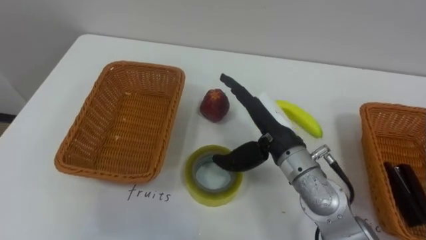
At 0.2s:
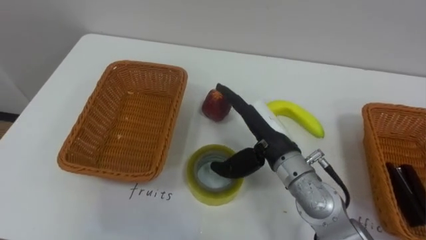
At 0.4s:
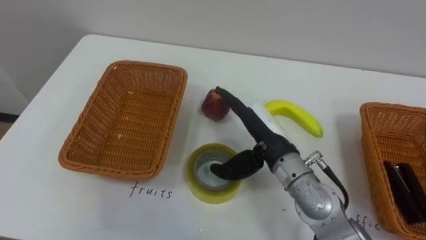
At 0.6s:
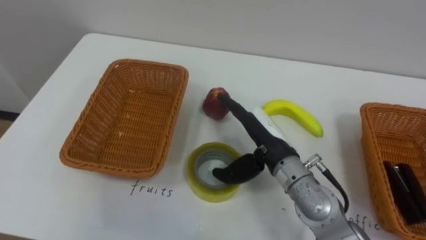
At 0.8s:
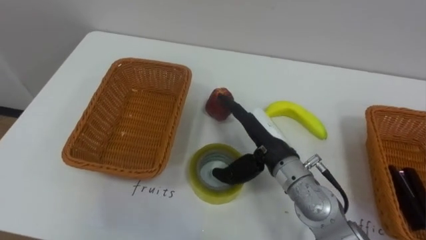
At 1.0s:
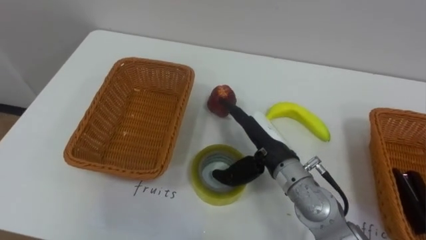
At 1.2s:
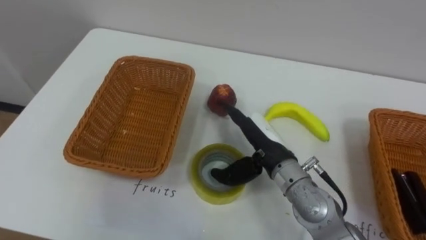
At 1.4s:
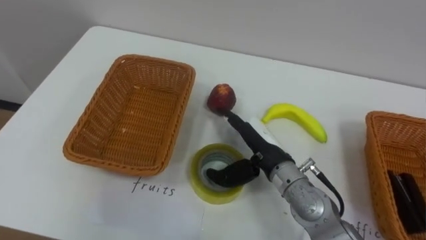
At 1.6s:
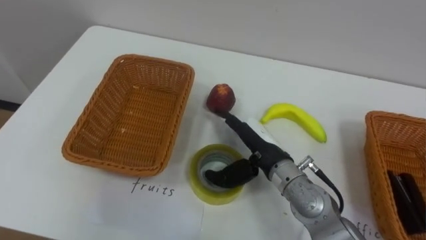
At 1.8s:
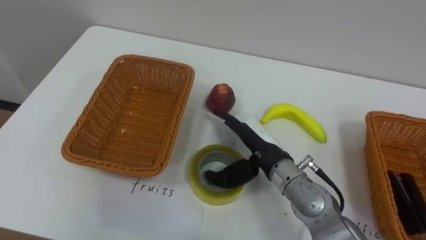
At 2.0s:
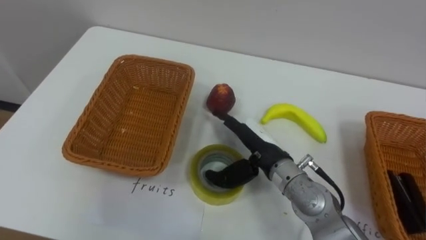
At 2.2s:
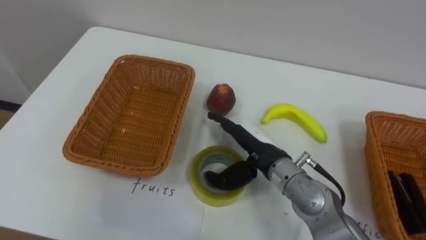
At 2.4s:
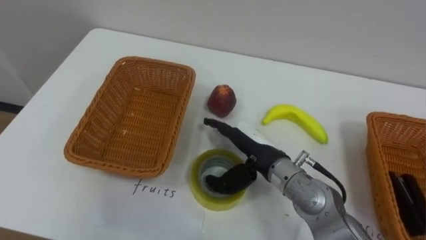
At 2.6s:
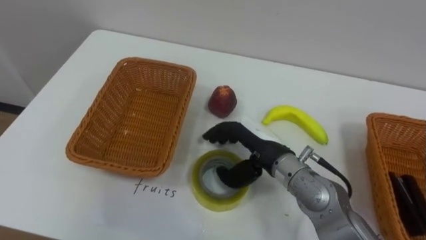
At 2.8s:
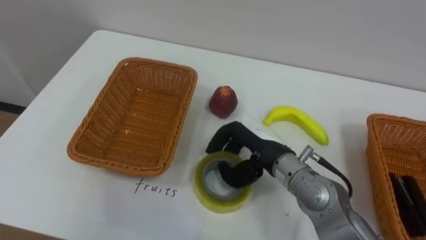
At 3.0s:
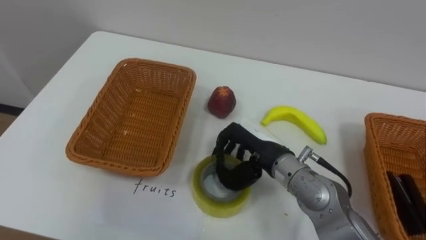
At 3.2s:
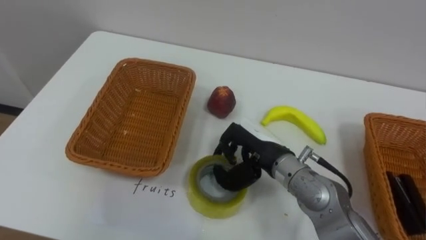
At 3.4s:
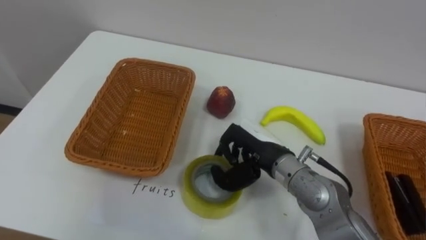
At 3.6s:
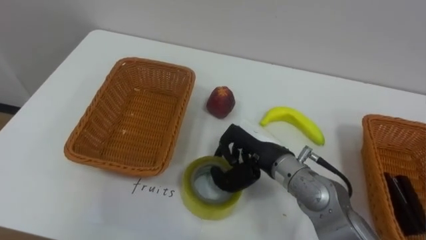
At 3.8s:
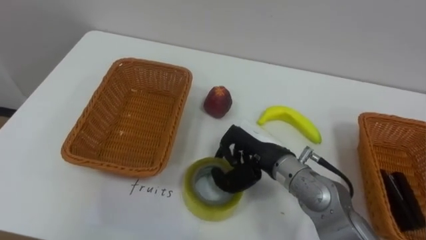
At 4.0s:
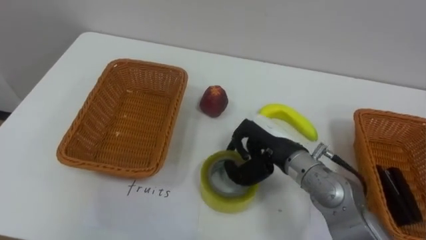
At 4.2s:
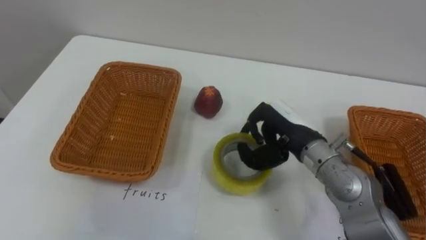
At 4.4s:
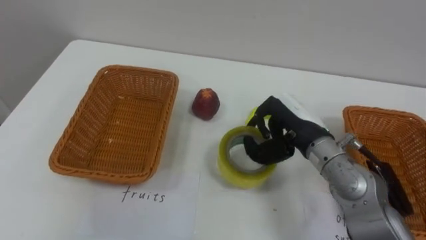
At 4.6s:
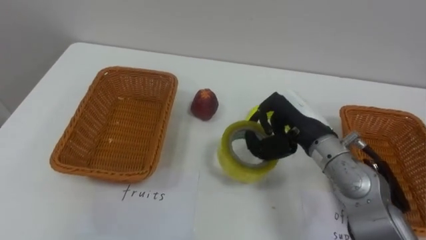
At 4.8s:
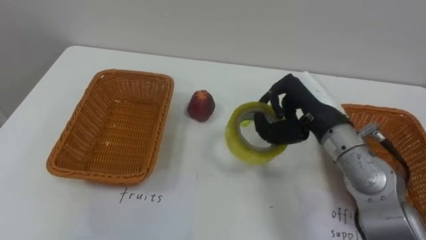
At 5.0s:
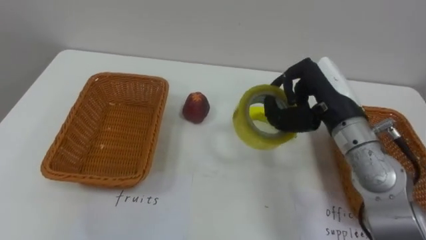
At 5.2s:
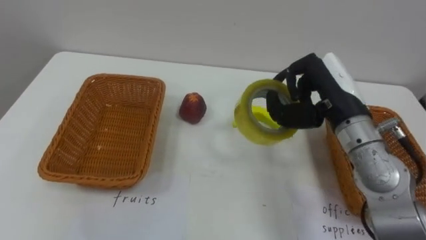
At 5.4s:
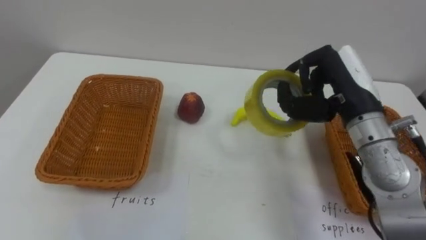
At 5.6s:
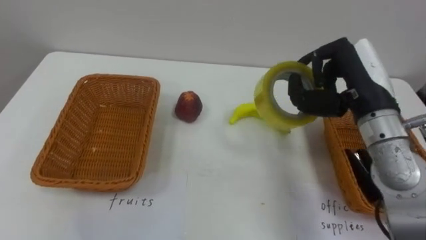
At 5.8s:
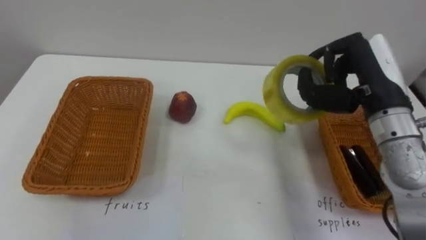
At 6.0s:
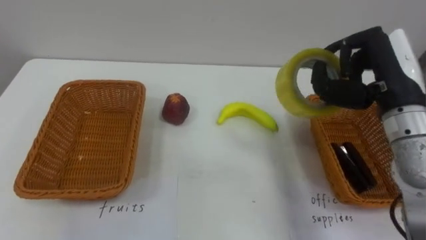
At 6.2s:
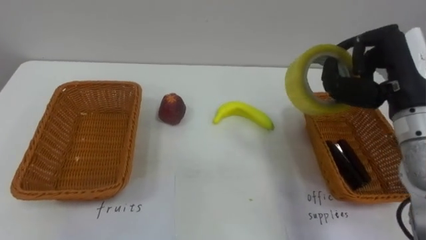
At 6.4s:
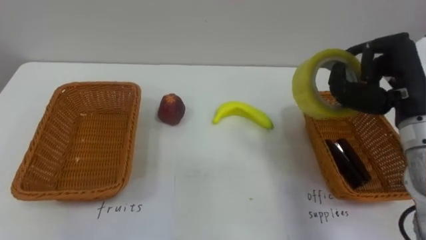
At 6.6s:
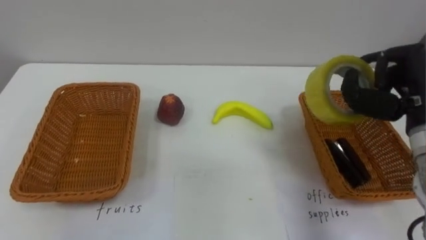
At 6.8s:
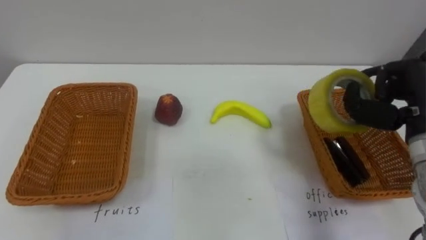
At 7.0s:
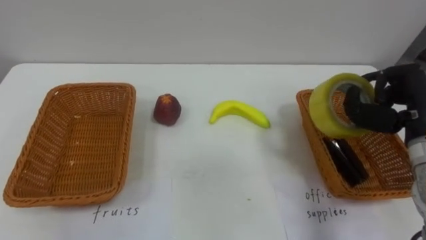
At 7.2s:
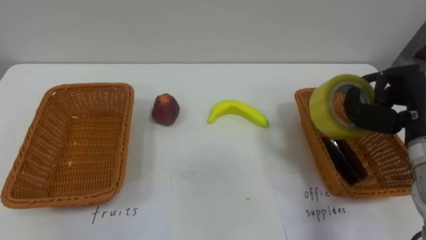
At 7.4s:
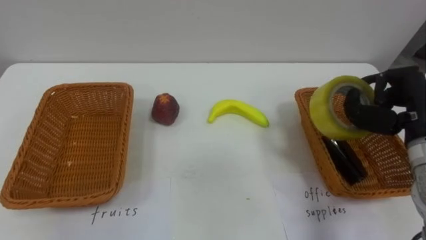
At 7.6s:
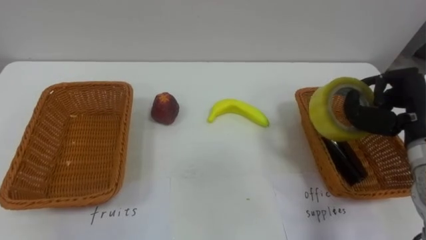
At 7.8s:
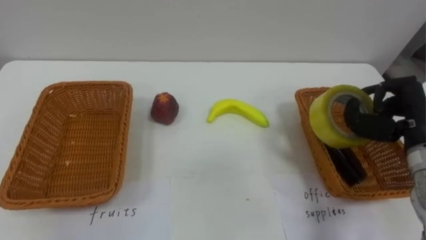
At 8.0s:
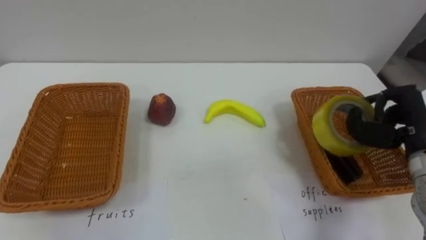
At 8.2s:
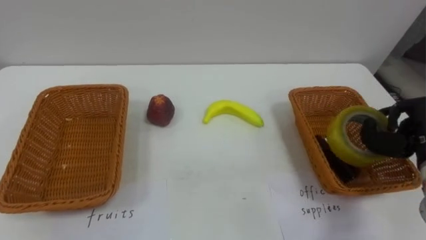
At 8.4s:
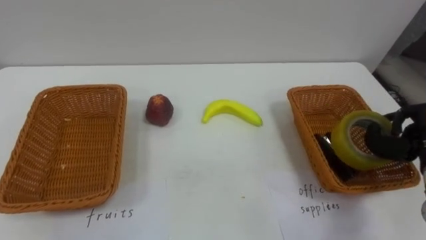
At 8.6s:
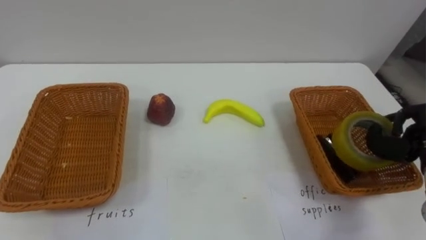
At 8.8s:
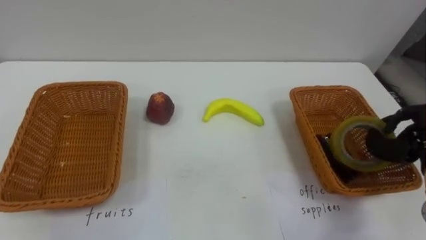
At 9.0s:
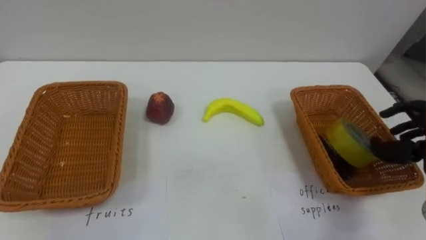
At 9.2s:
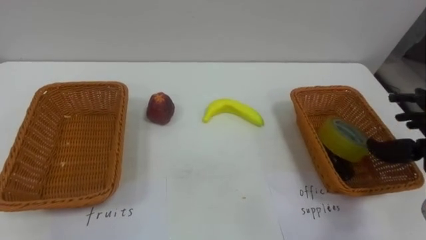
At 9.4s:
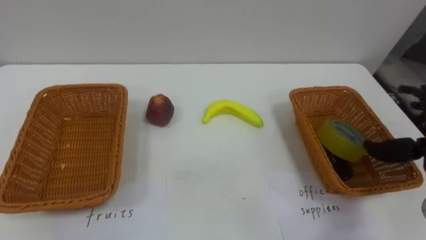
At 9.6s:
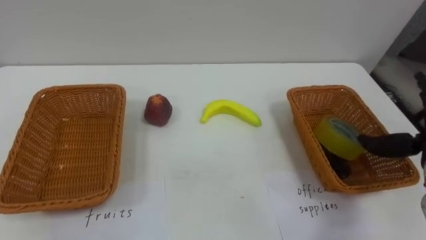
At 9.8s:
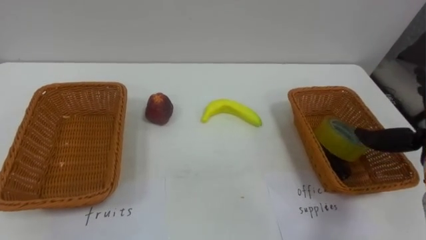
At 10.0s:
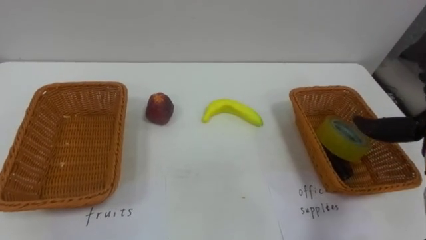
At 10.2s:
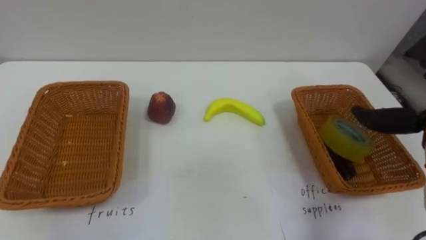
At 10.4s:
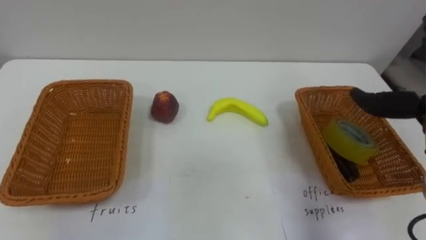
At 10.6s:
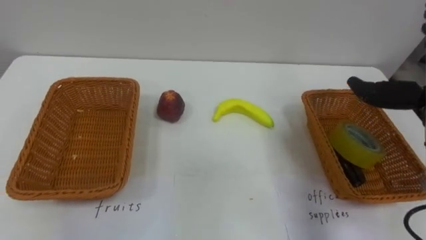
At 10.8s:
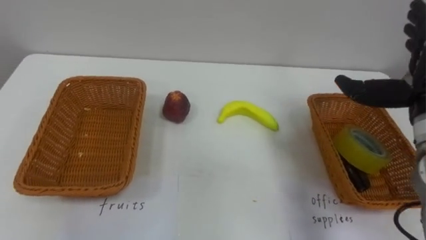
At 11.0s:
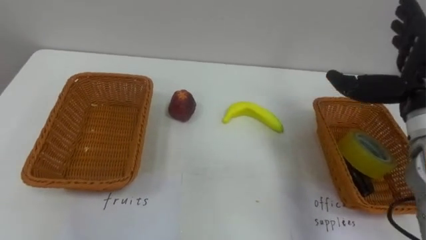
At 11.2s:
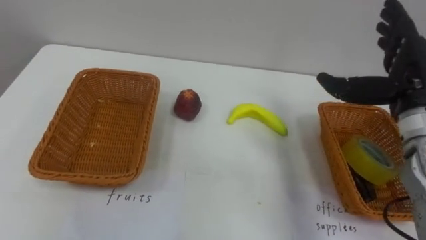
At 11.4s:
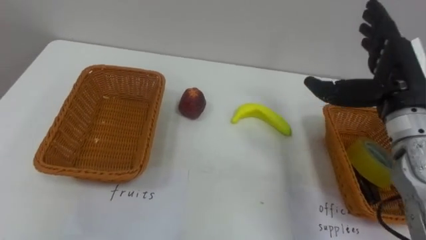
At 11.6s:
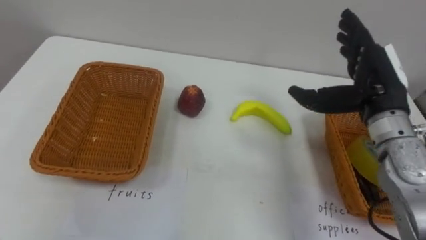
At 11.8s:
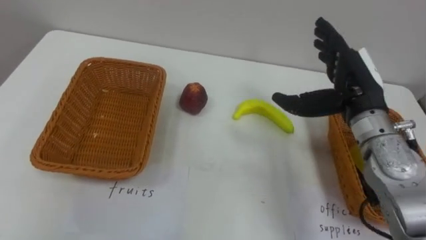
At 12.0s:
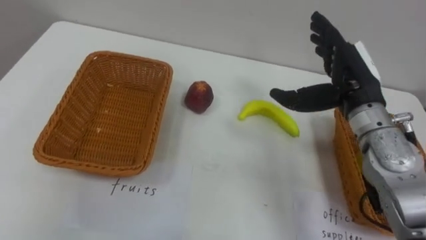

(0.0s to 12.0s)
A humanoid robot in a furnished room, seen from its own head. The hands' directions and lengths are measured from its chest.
Task of the whole recording: Separate the items on the table and place them into the two baskets.
0.0s - 1.6s: The right hand is displaced downward by roughly 5 cm.
1.6s - 3.0s: The right hand closes.
3.0s - 4.4s: The right hand is displaced to the right by approximately 5 cm.
4.4s - 6.0s: The right hand is displaced to the right and upward by approximately 15 cm.
6.0s - 7.6s: The right hand travels to the right and downward by some 10 cm.

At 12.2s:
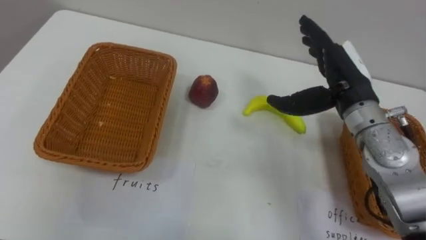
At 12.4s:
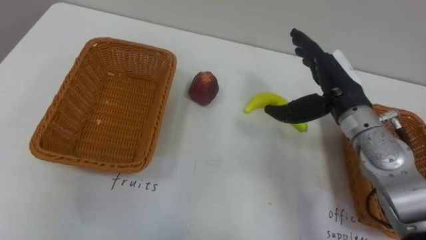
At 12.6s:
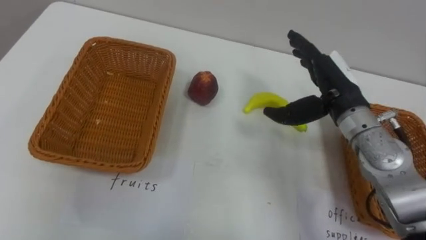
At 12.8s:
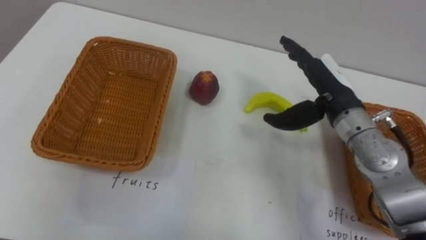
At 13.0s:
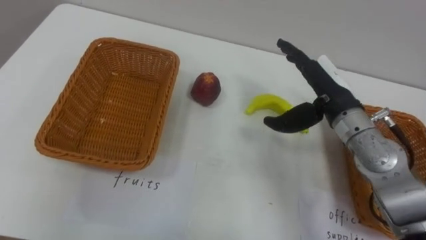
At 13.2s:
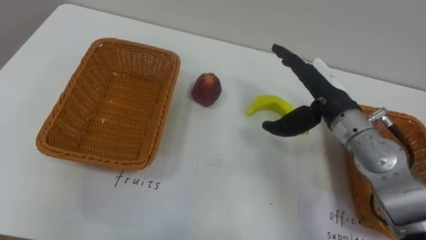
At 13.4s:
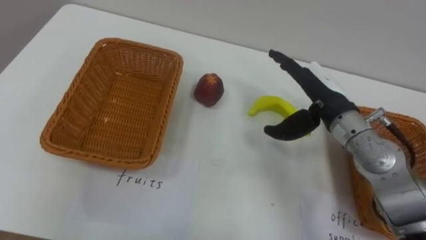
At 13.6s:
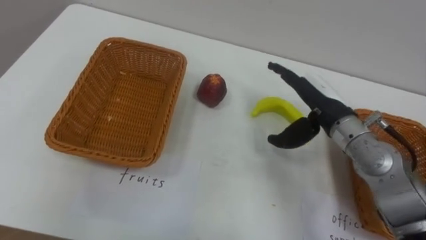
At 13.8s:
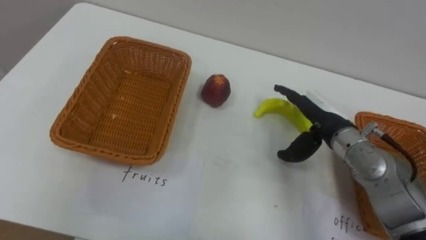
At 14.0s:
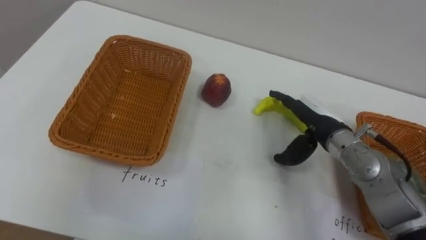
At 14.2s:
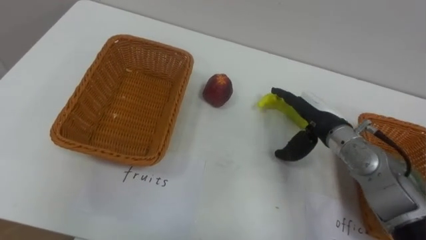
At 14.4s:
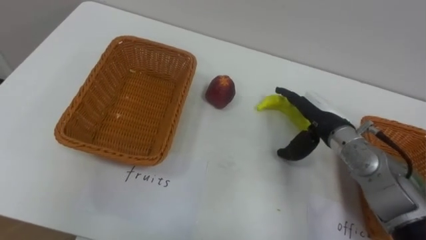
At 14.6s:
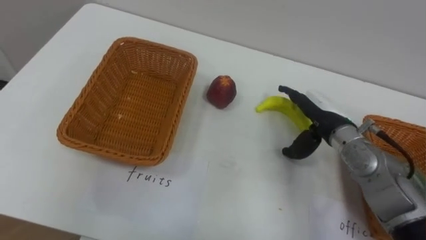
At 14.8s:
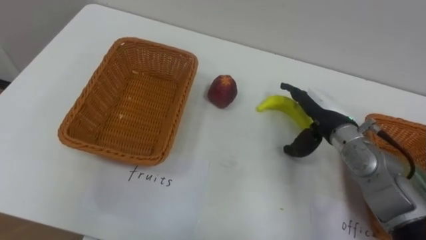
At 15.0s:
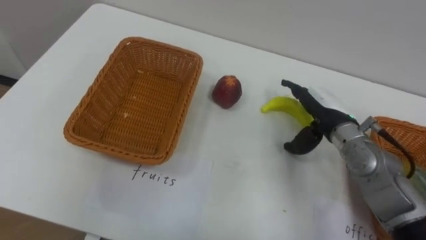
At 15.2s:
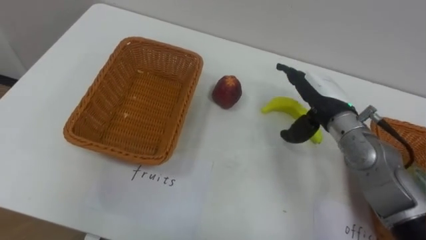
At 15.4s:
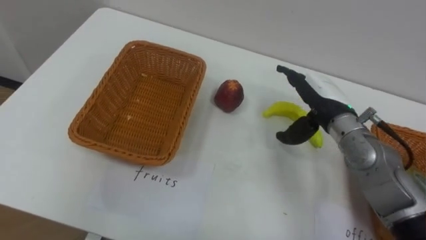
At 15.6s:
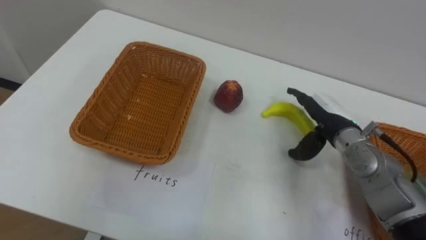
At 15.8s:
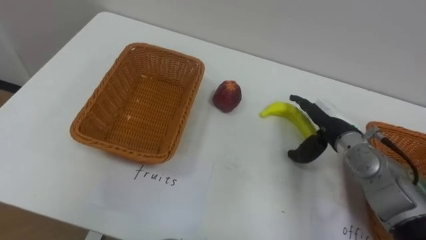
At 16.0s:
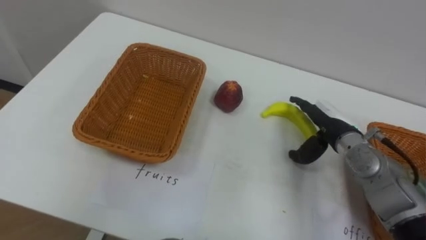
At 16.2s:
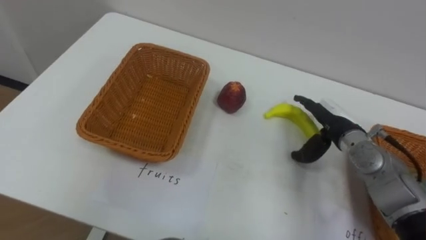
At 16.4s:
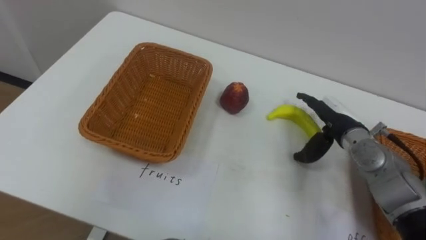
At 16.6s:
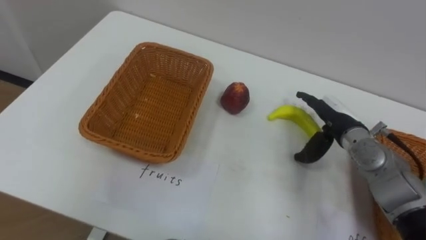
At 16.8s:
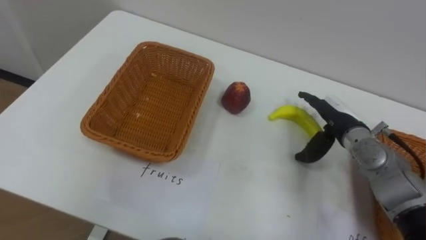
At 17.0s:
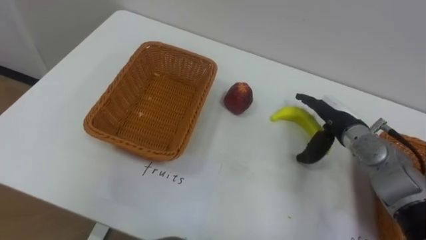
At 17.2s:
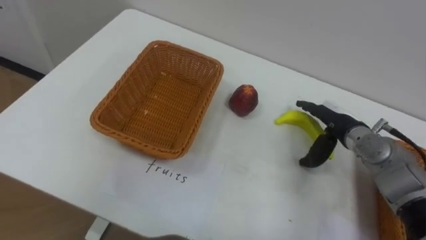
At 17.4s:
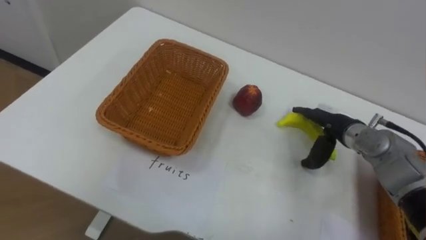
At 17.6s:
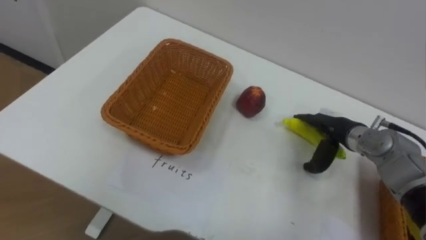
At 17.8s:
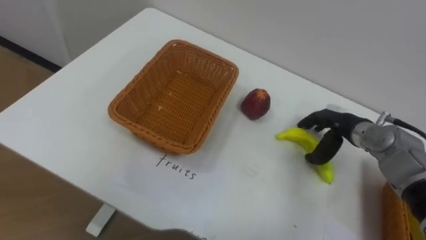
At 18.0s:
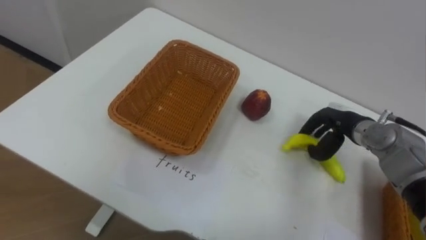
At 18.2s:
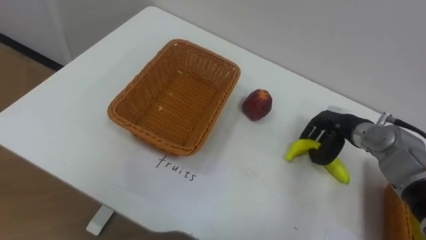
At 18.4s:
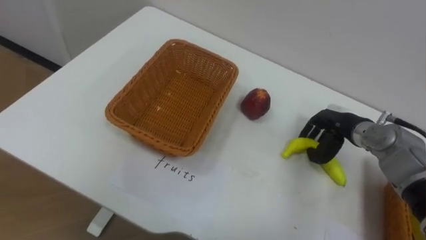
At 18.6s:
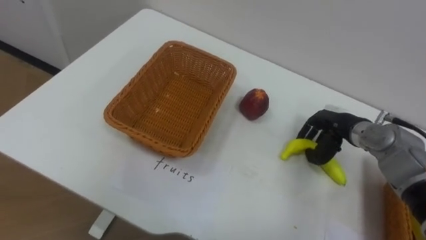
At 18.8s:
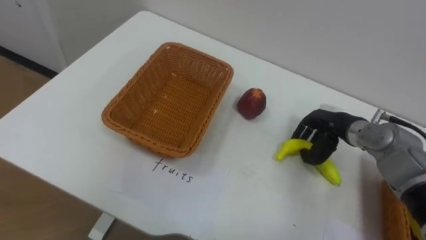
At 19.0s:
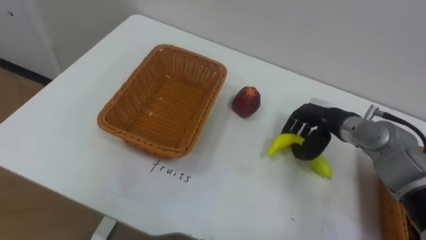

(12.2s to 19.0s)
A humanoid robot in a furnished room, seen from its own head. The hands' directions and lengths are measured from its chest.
Task of the whole recording: Separate the items on the table and place them into the two baskets.
12.2s - 13.6s: The right hand shifts by approximately 5 cm.
13.6s - 15.0s: The right hand goes about 5 cm downward.
17.6s - 19.0s: The right hand closes up.
